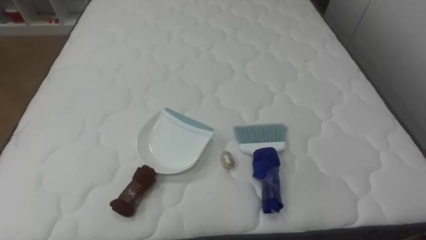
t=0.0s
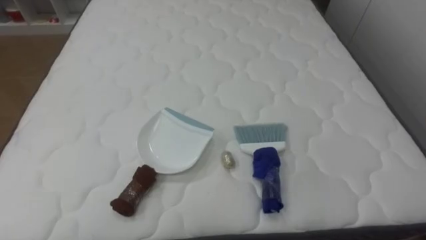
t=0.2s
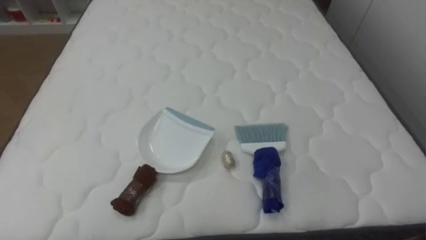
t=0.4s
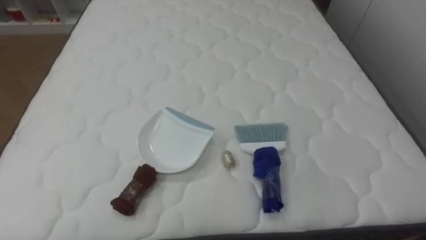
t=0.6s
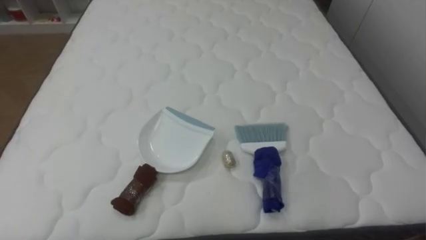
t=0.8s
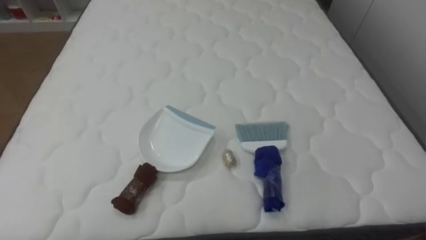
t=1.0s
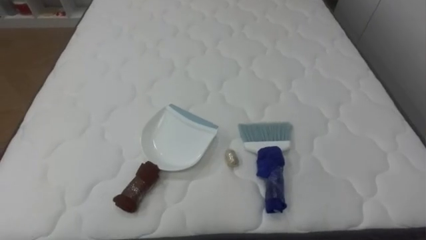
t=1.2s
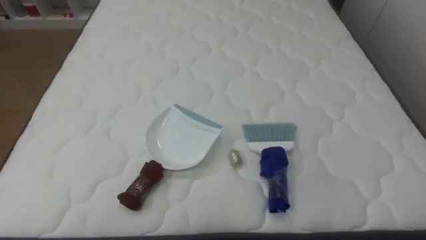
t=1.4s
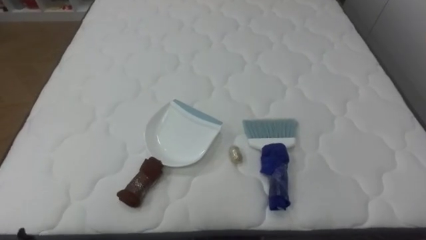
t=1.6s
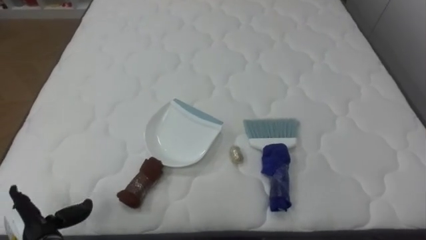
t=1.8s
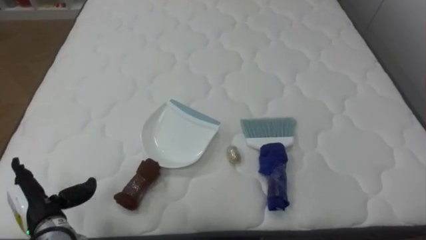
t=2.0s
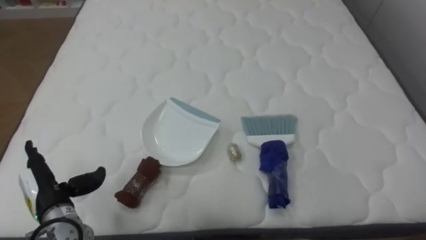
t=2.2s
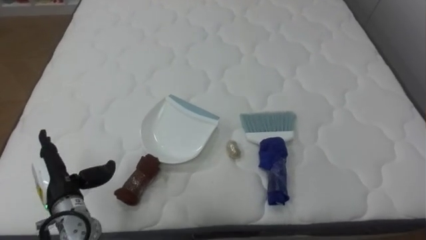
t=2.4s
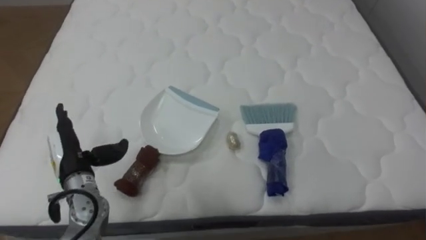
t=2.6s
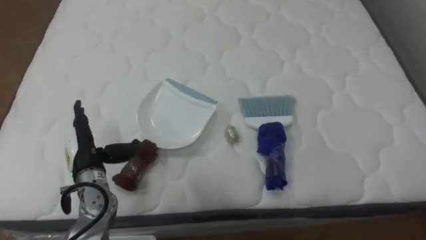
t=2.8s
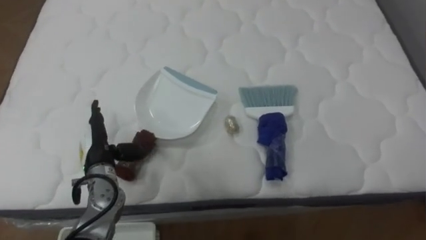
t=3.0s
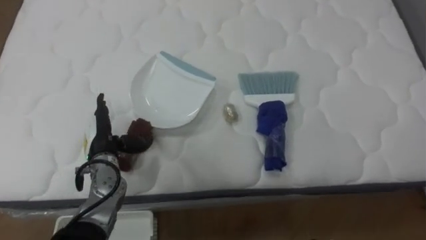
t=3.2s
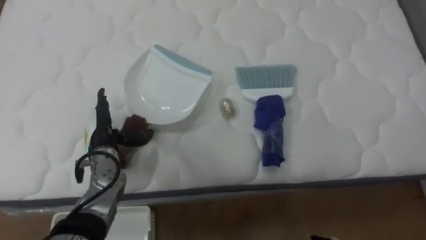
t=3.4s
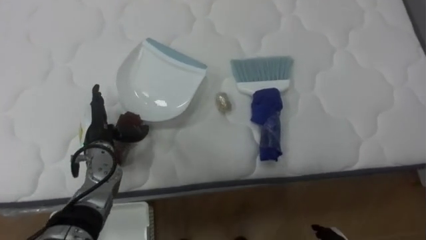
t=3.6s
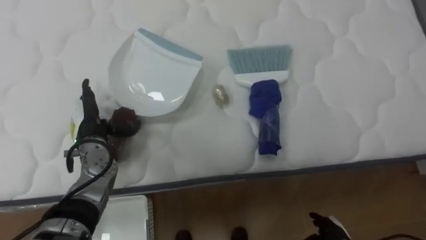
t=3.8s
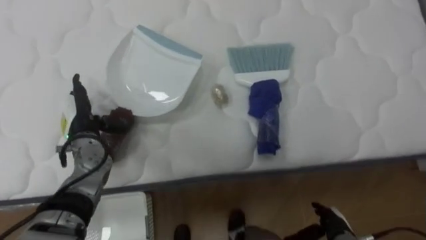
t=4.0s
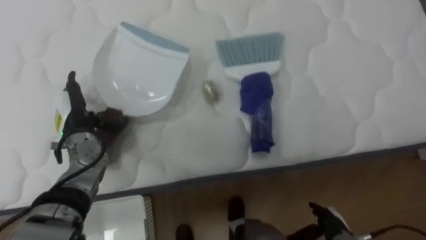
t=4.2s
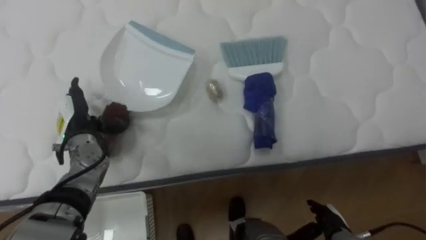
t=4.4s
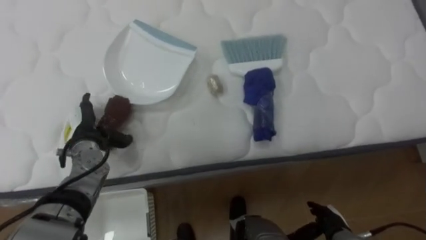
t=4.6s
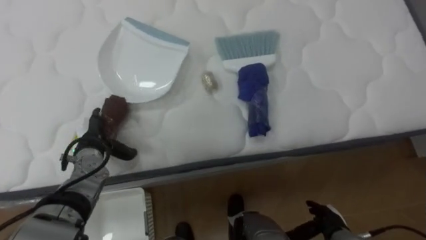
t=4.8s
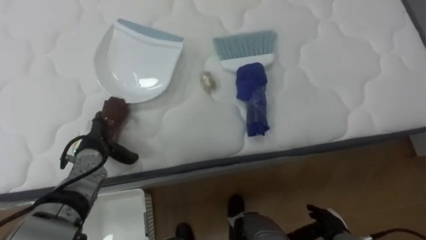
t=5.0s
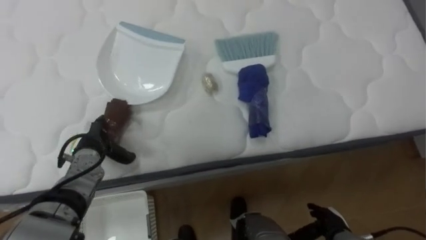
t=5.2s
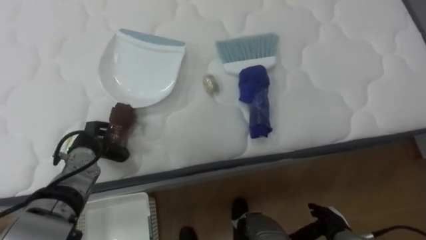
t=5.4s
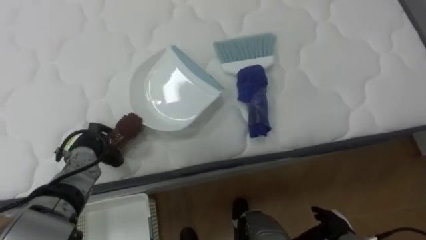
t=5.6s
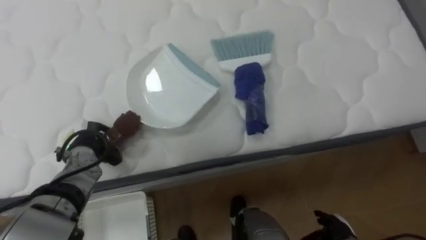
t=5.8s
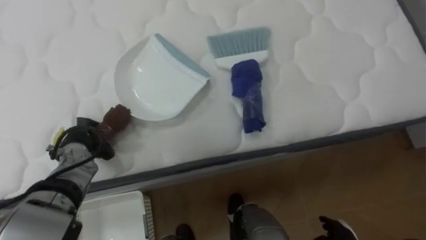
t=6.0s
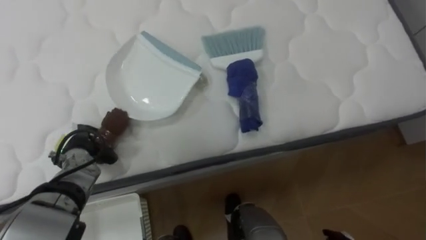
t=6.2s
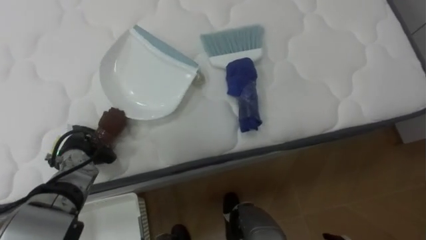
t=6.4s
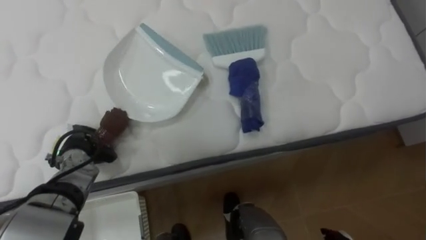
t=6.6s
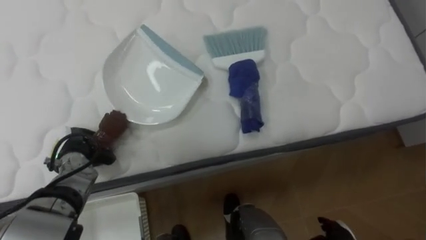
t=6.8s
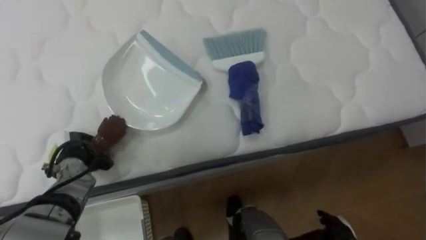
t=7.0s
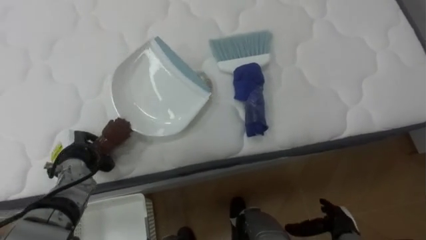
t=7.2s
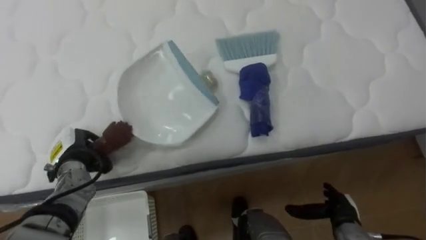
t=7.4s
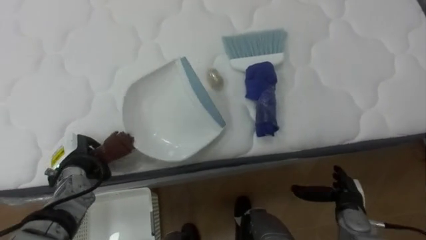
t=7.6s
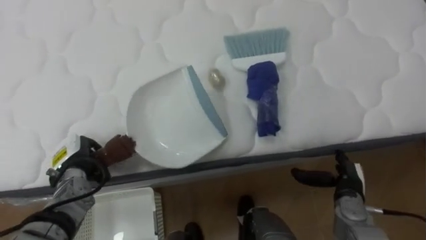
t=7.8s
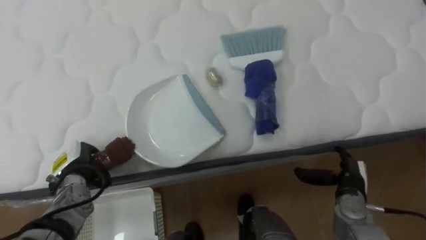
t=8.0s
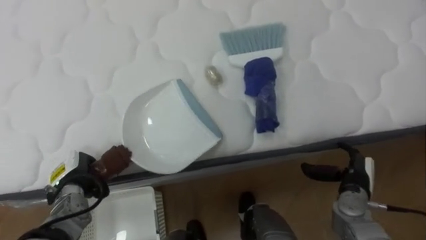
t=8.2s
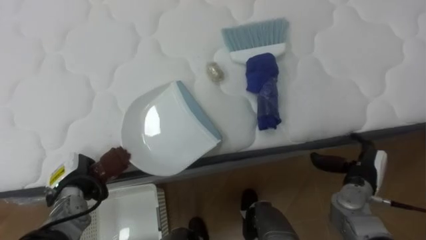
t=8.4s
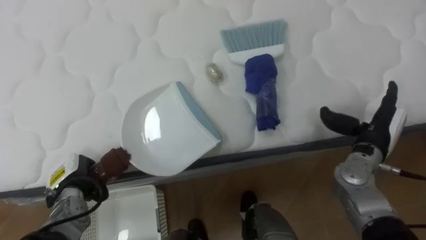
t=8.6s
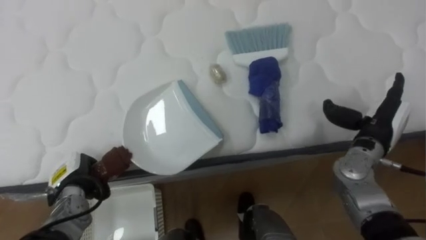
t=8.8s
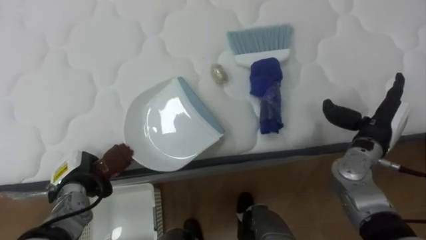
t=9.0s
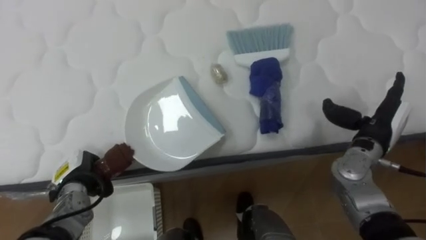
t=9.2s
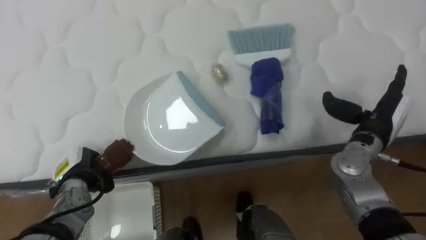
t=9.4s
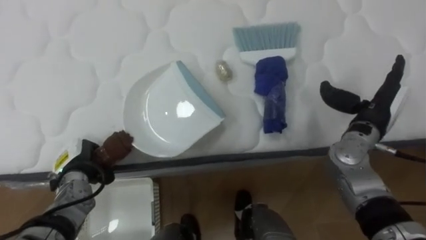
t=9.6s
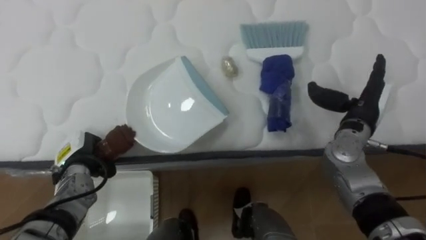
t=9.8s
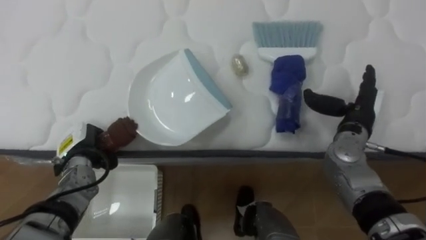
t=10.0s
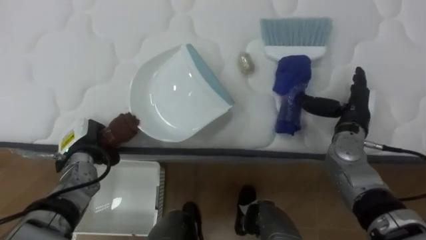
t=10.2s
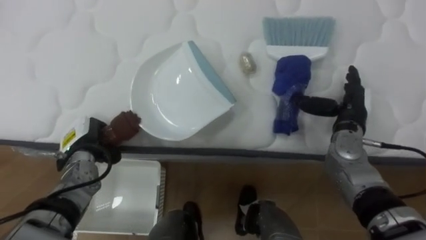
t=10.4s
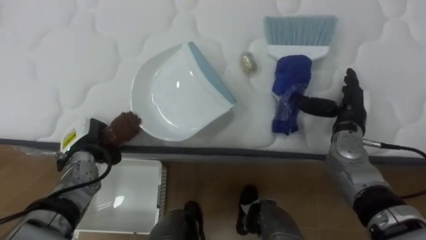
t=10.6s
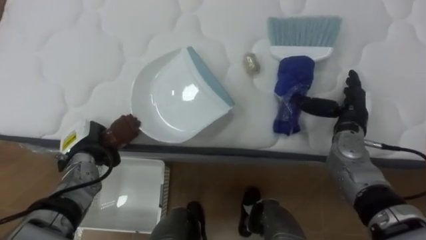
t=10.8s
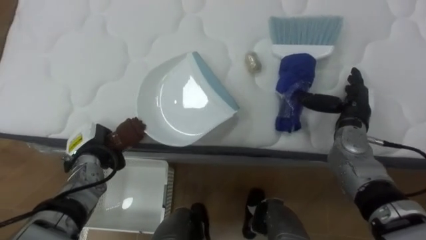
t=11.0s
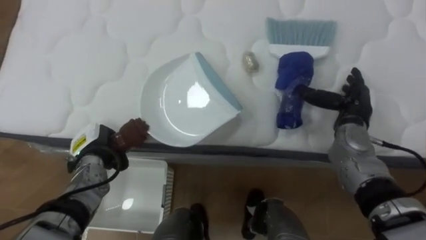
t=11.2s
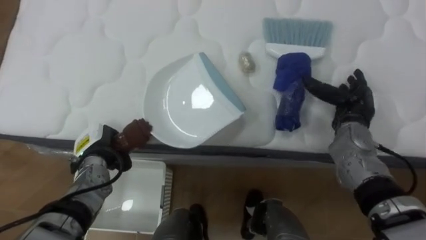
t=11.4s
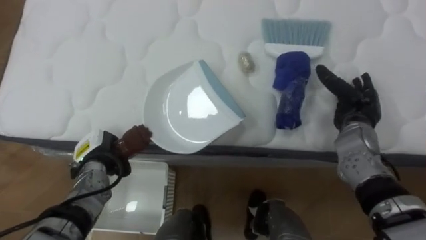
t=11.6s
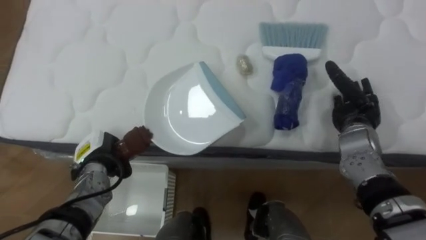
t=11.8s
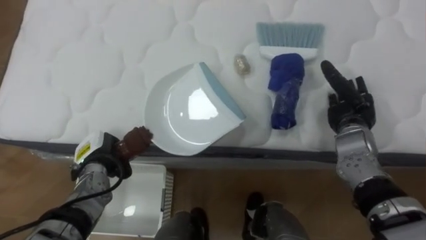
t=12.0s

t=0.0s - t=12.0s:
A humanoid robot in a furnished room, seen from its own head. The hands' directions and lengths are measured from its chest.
Task of the whole recording: Pick up the brush on your right and the dustpan on your left. Use the brush to sweep the crumpled paper on the bed into the dustpan, then turn left and empty it into the basket.
t=3.0s - t=4.4s: The left hand travels forward by about 5 cm.
t=4.4s - t=6.0s: The left hand closes.
t=7.6s - t=9.0s: The right hand shifts about 20 cm upward and forward.
t=9.0s - t=10.4s: The right hand ends up about 5 cm from where it was. The left hand shifts roughly 5 cm forward.

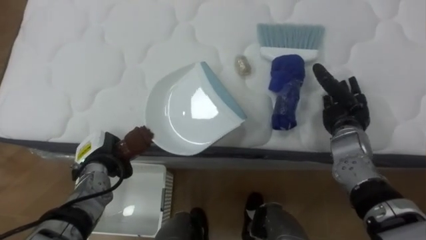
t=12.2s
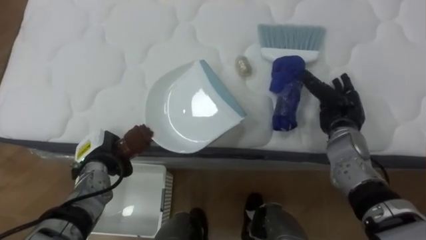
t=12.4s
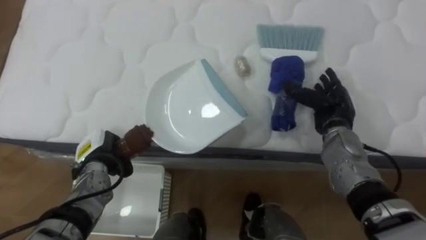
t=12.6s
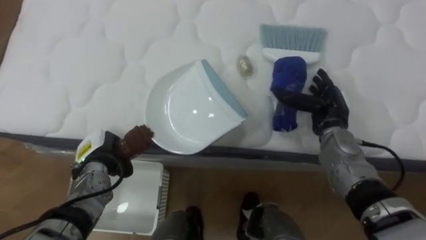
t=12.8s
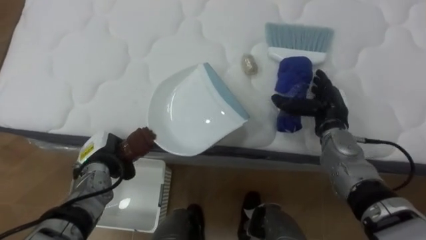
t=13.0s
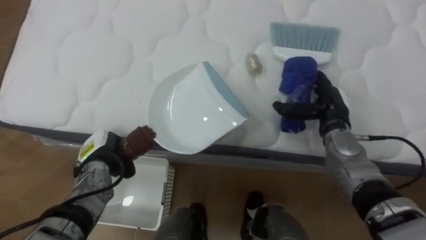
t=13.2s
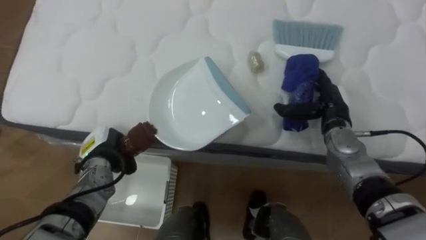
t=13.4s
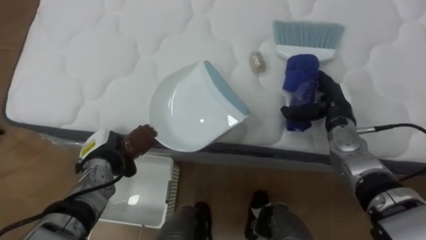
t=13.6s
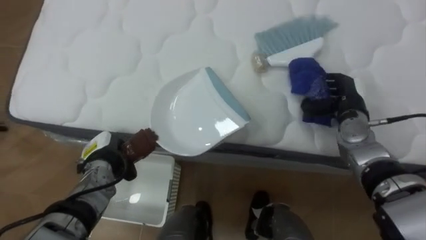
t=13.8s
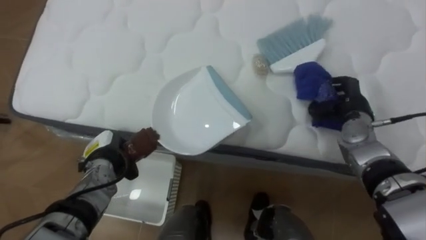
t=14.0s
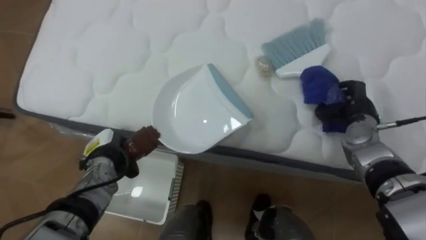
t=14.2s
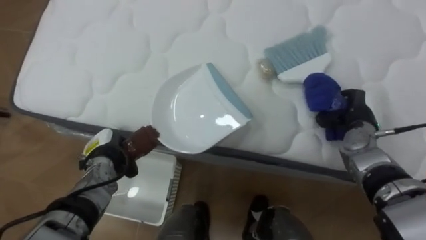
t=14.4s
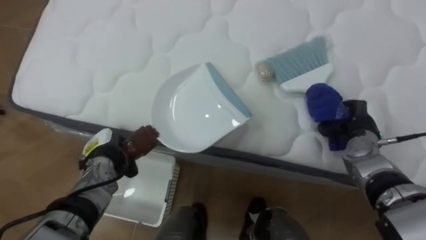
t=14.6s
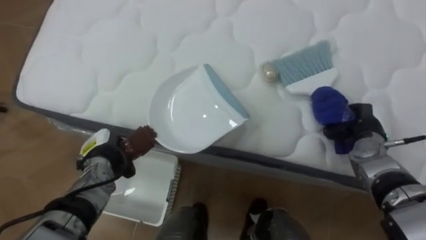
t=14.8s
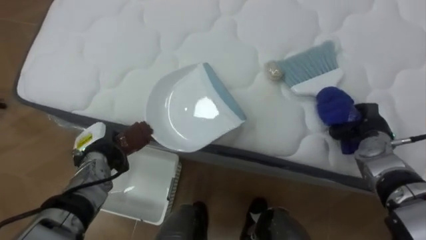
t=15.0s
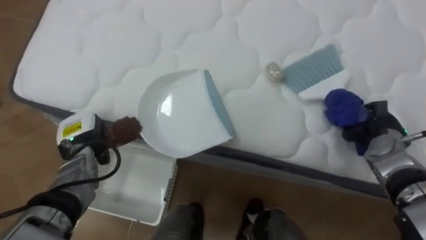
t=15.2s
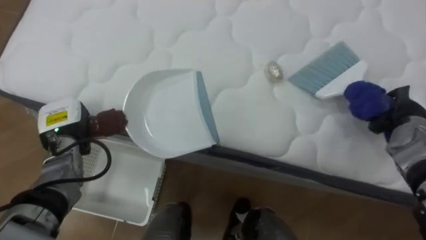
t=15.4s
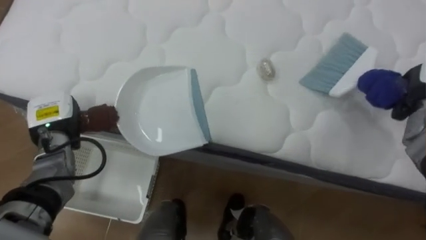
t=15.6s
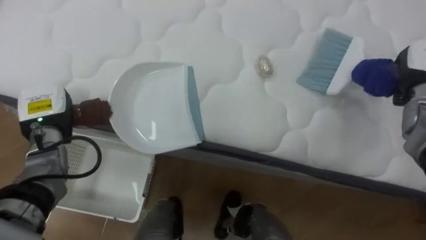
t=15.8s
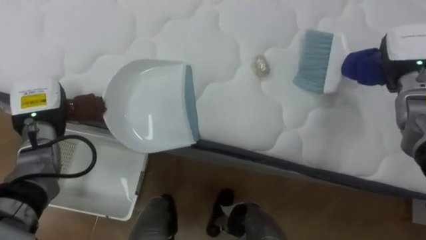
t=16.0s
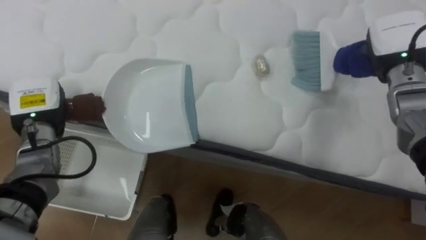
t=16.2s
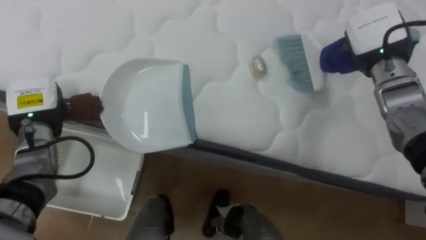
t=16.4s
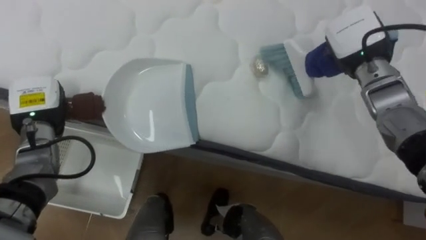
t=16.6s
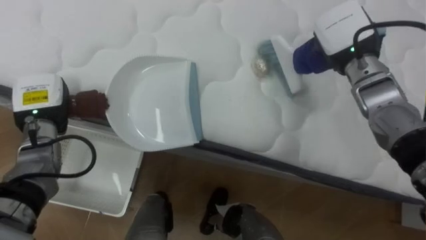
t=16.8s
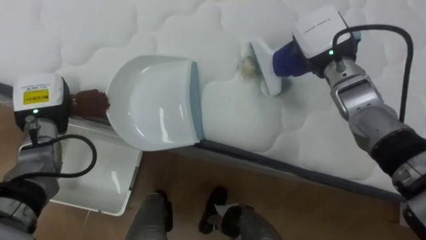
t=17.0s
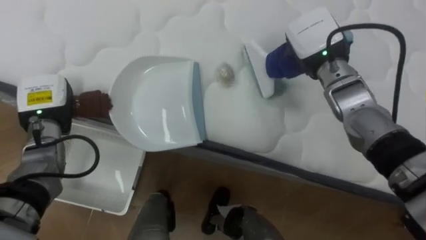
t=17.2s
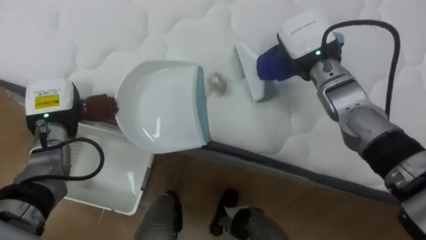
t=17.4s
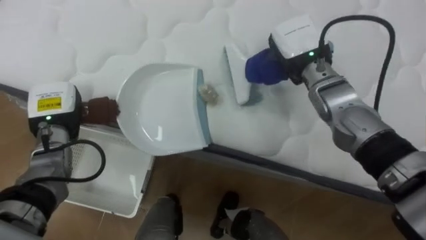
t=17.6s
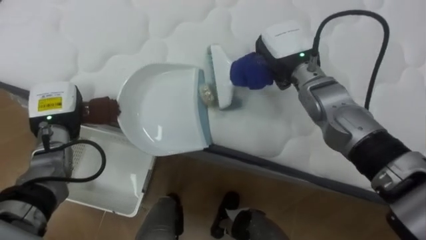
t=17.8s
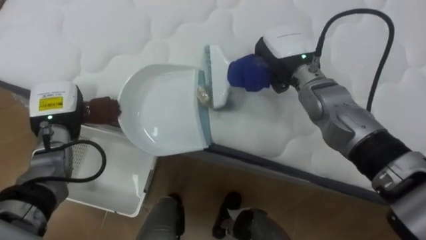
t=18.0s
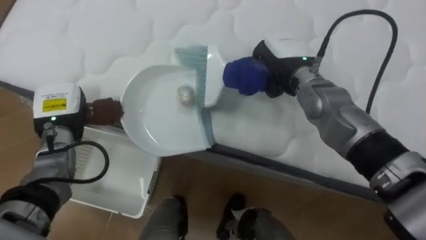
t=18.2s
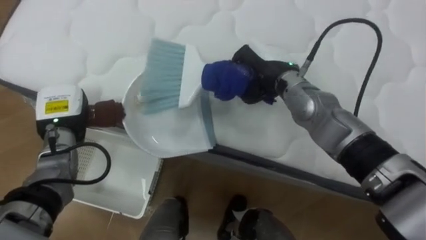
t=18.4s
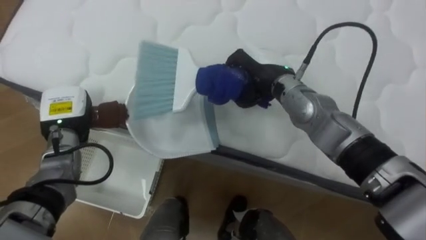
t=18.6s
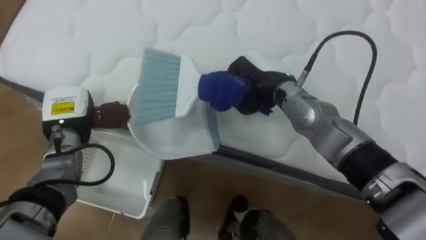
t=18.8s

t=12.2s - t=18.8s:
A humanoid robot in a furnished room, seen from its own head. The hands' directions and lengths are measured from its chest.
Task of the whole recording: Pick up the brush on your right and the dustpan on your left. Use the brush to sweep the crumpled paper on the bed into the dustpan, then turn left and empty it into the basket.
t=12.2s - t=13.8s: The right hand closes its fingers.
t=13.8s - t=15.4s: The right hand travels to the right by about 10 cm, and closes its fingers. The left hand goes about 10 cm upward and to the left.
t=15.4s - t=17.2s: The right hand heads to the left and upward, covering about 25 cm; the left hand goes about 5 cm upward.
t=17.2s - t=18.8s: The right hand shifts approximately 10 cm to the left.
